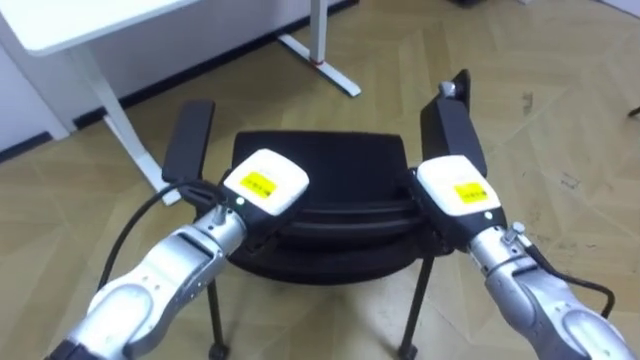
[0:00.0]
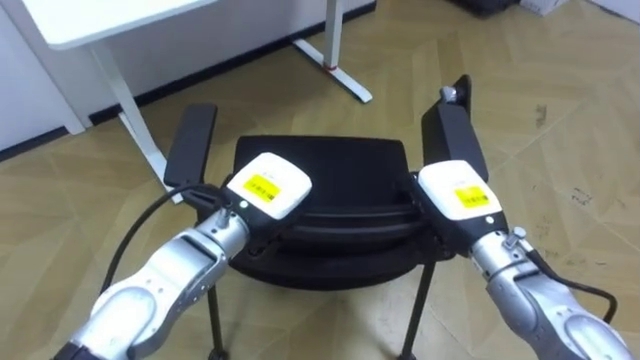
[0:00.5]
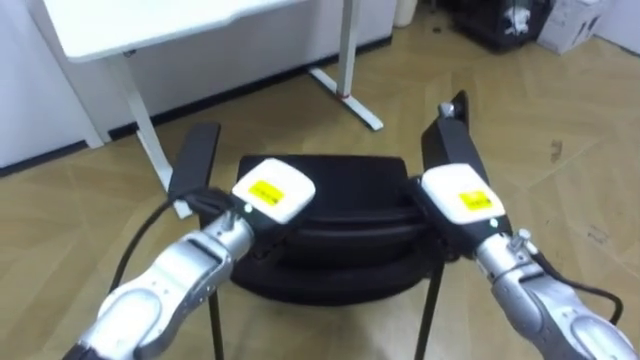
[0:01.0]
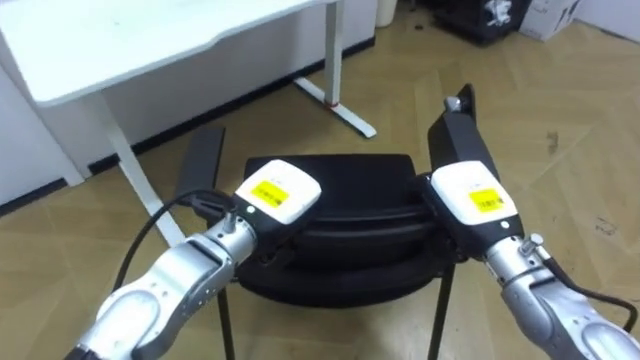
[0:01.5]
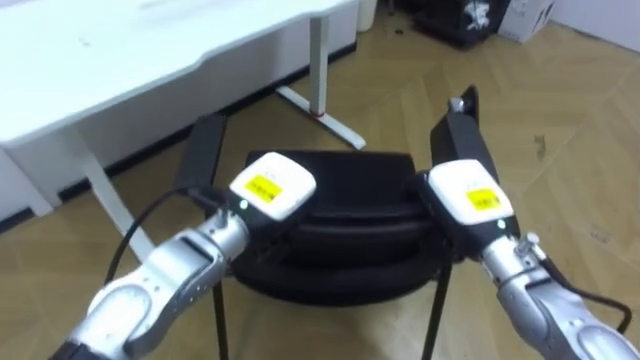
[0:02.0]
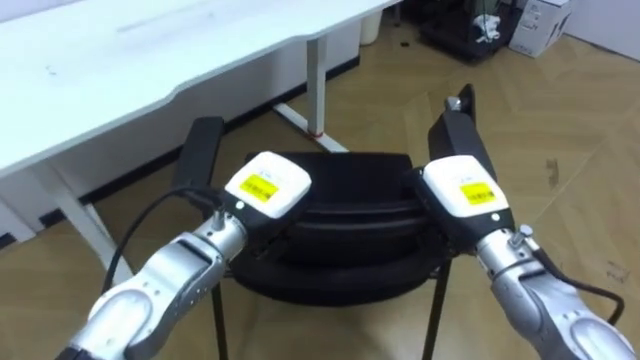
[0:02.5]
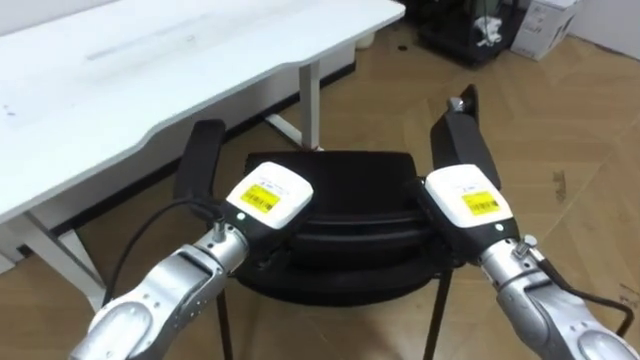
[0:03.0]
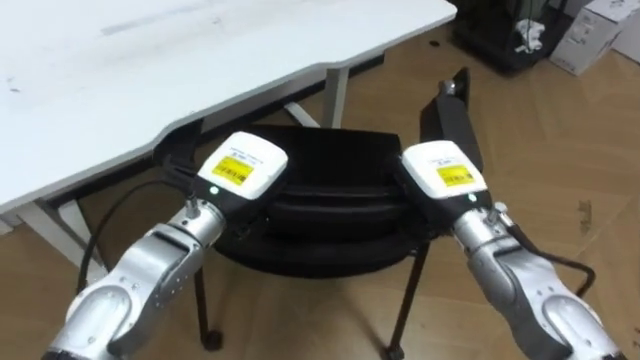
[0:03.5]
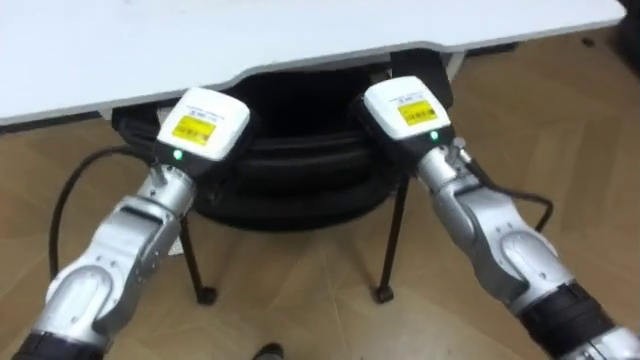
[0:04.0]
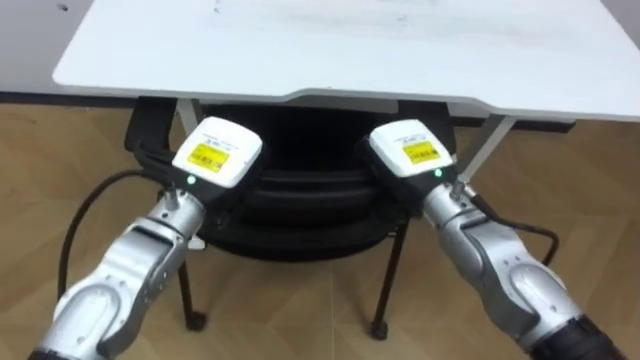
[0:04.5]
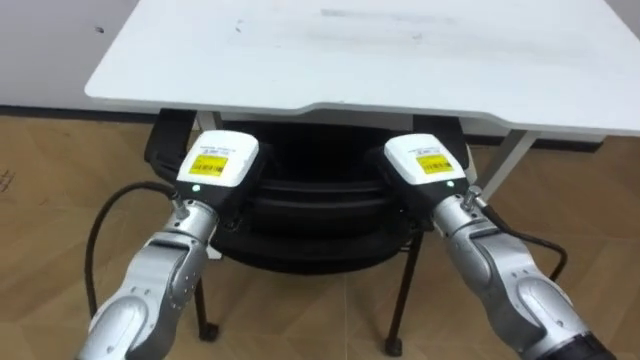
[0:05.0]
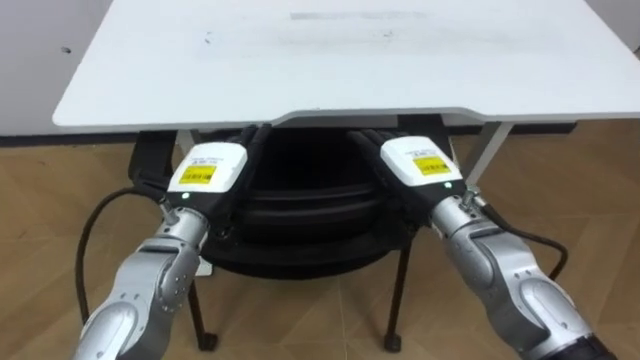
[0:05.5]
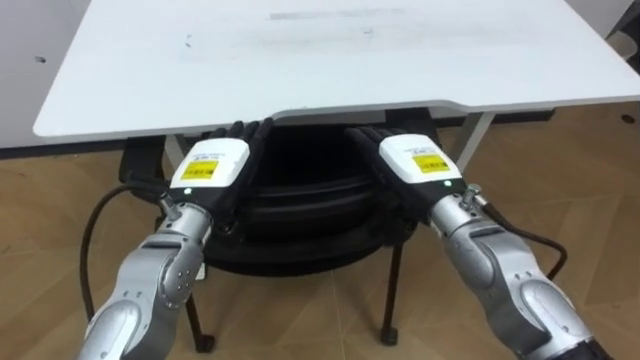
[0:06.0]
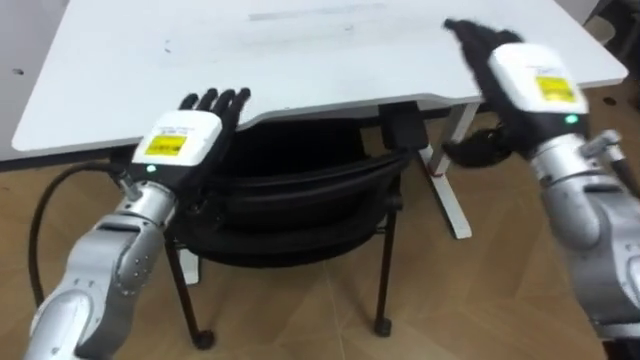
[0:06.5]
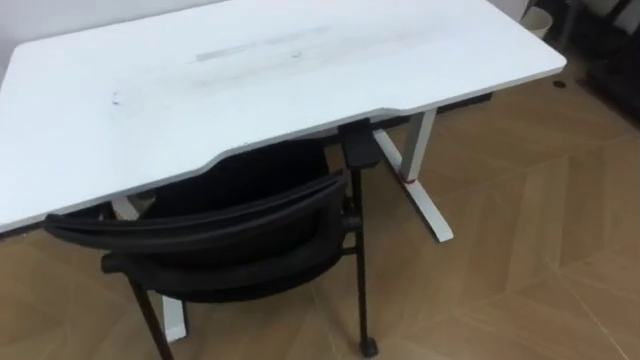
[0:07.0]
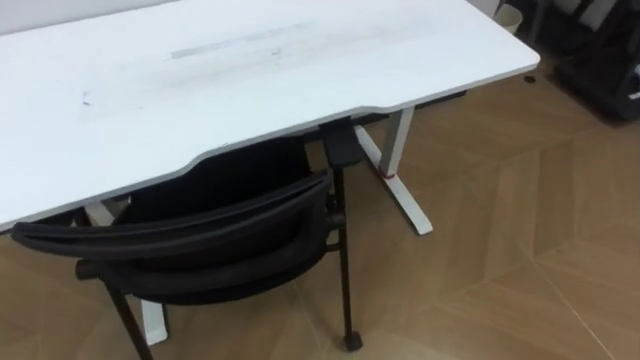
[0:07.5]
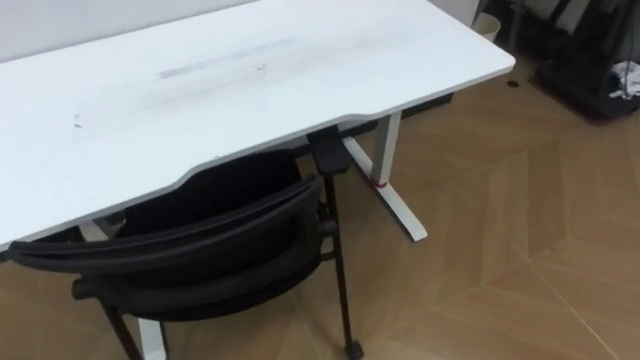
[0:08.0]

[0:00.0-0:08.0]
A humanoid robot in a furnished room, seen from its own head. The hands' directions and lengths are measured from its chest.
Task of the whole recording: Push the chair under the table.
0:02.0 to 0:04.0: The left hand heads to the left and upward, covering about 10 cm; the right hand travels to the left, upward and forward by some 15 cm.
0:04.0 to 0:06.0: The right hand changes place by some 5 cm, and opens; the left hand opens.

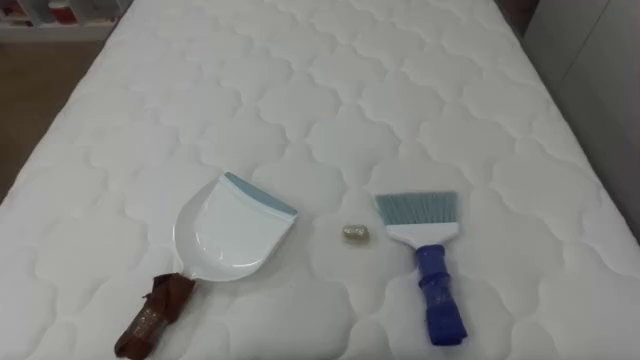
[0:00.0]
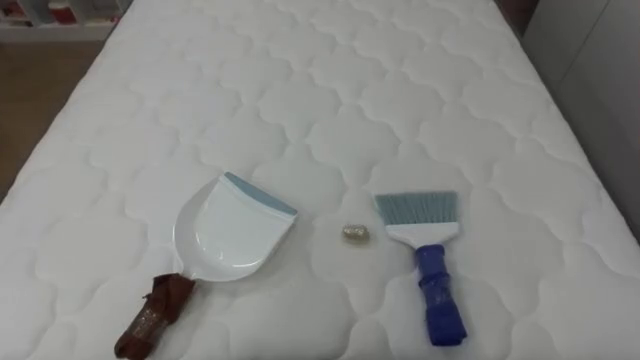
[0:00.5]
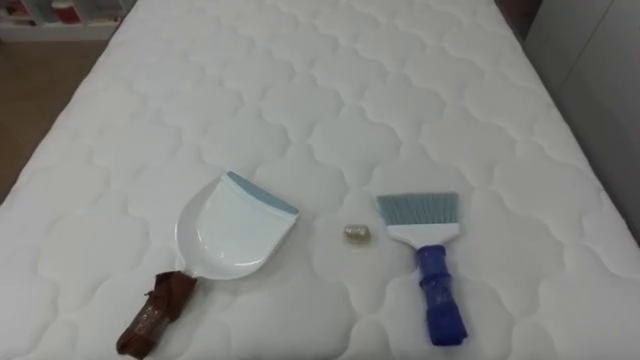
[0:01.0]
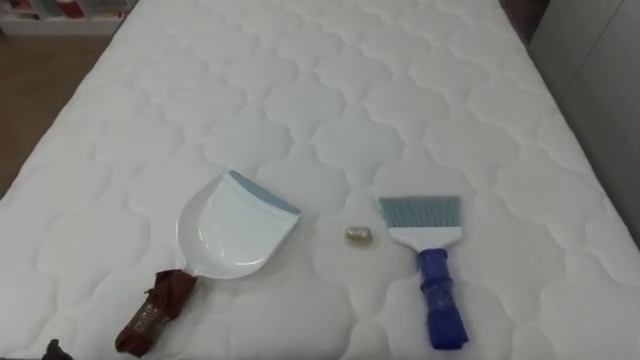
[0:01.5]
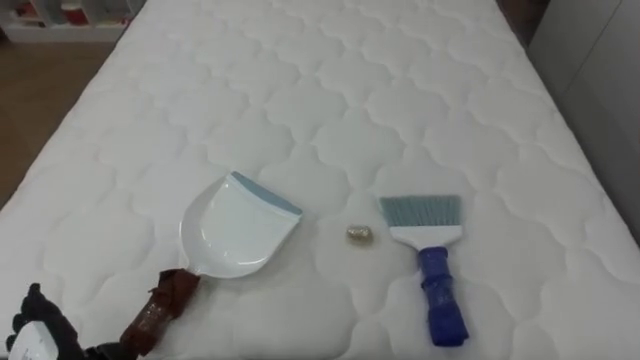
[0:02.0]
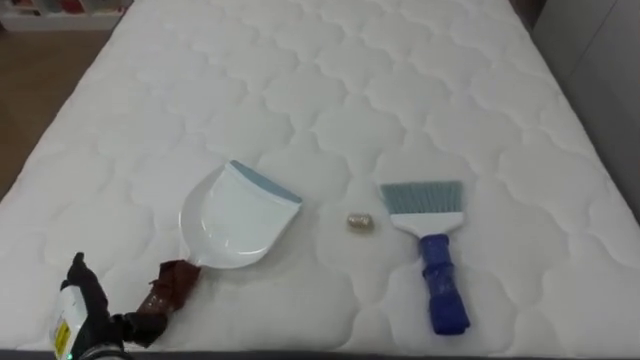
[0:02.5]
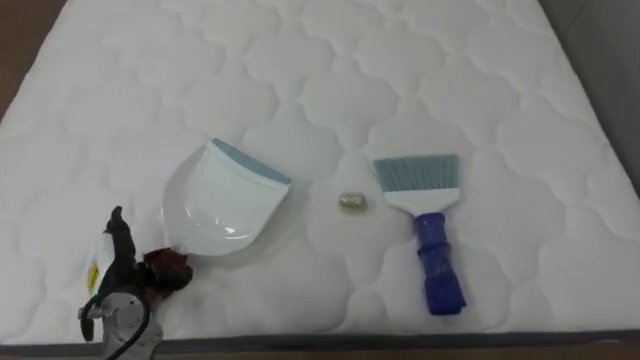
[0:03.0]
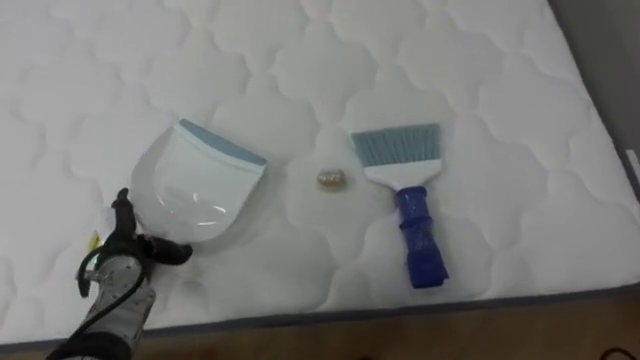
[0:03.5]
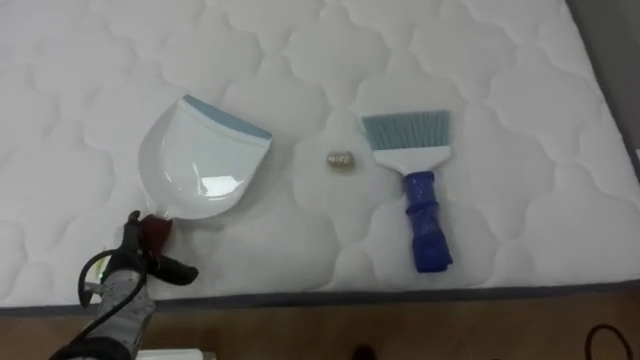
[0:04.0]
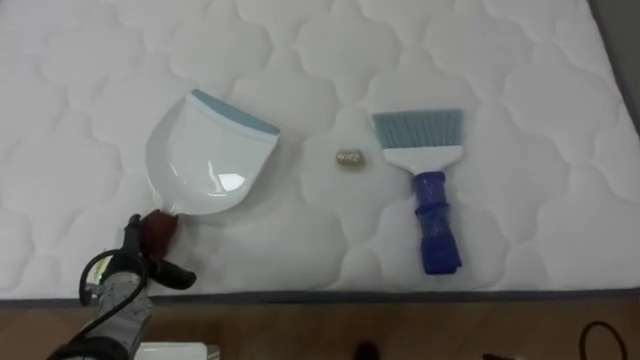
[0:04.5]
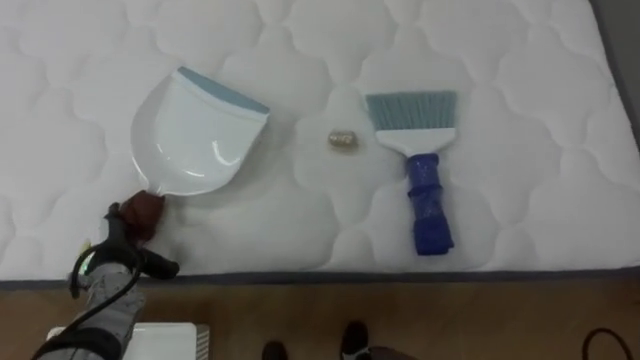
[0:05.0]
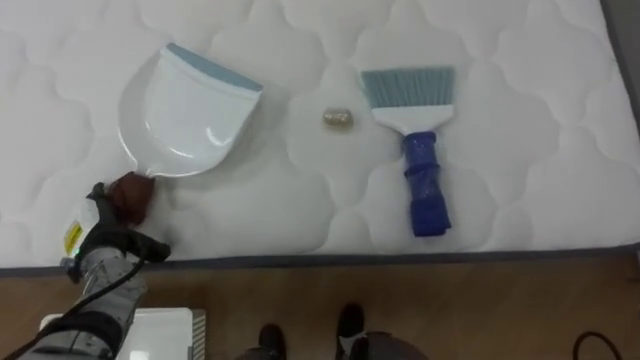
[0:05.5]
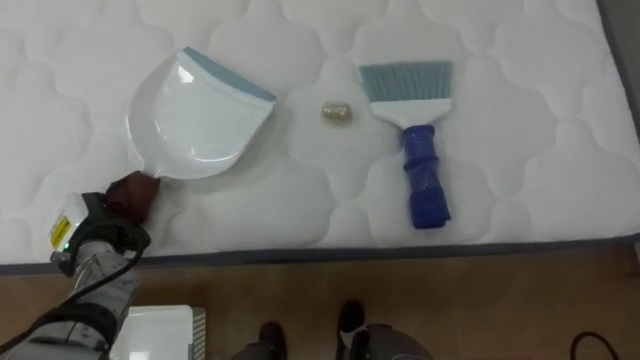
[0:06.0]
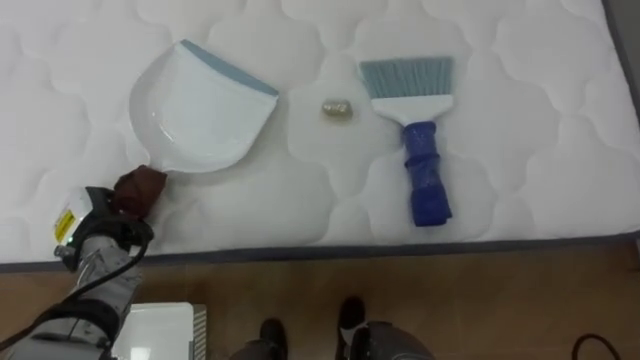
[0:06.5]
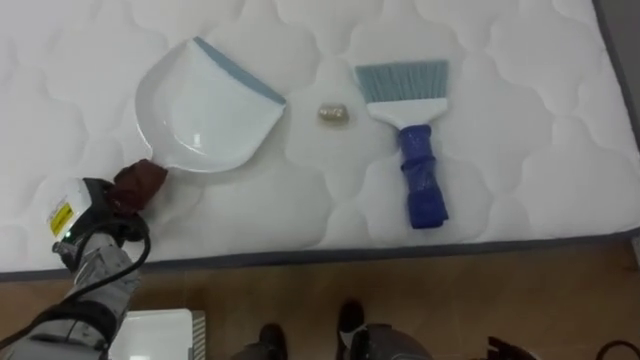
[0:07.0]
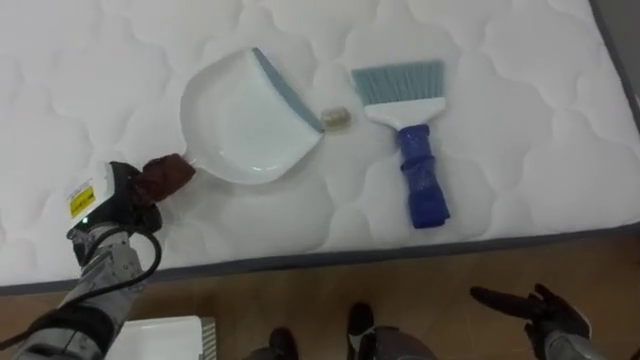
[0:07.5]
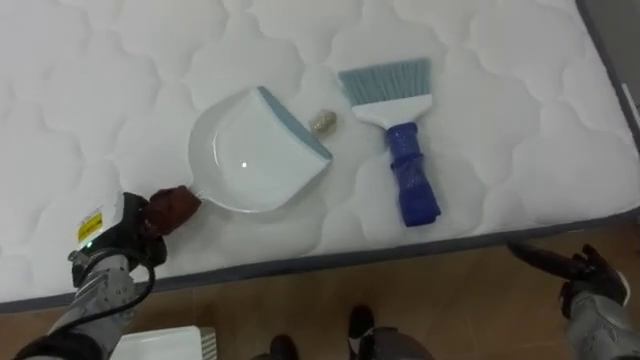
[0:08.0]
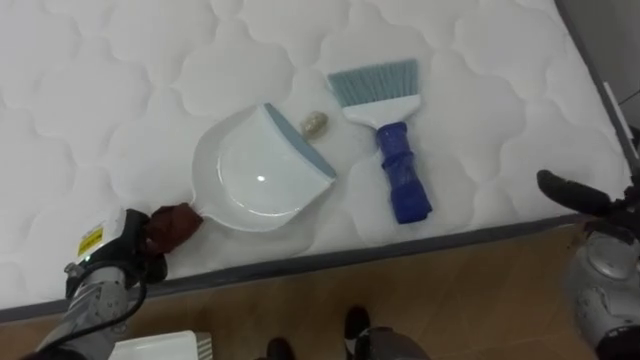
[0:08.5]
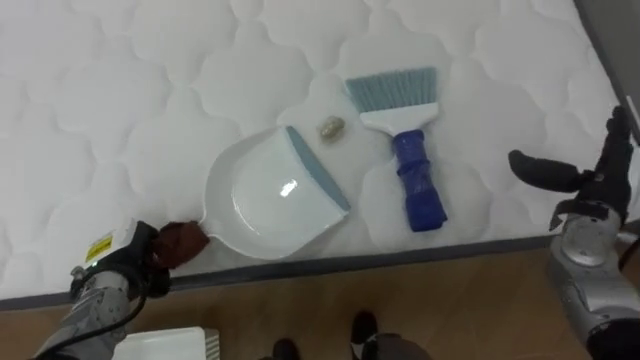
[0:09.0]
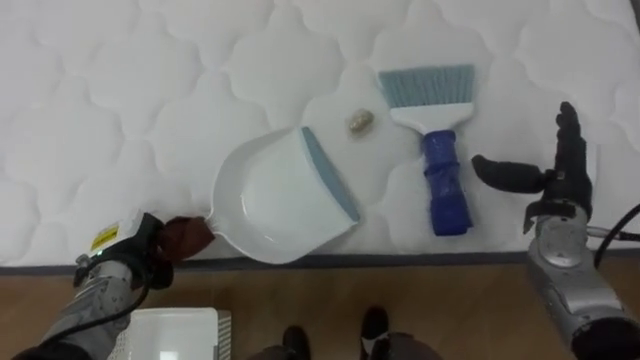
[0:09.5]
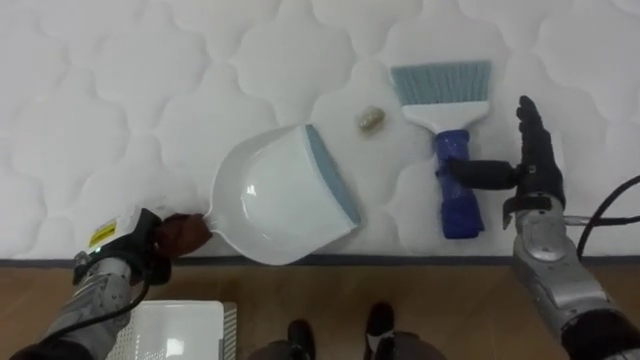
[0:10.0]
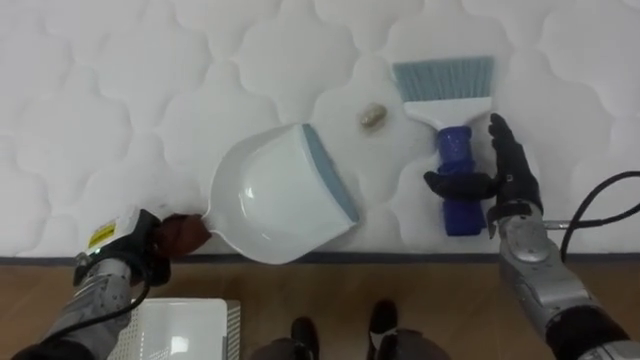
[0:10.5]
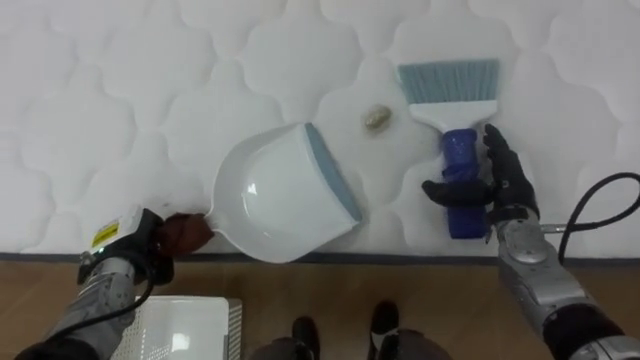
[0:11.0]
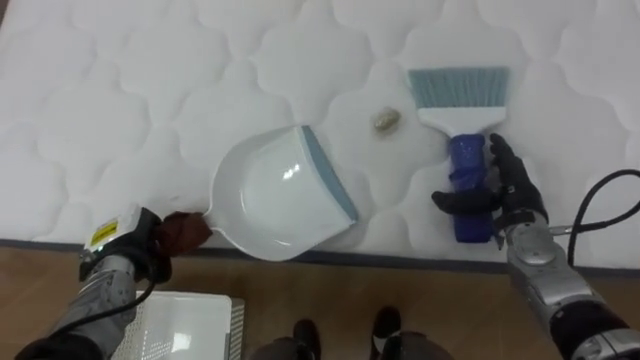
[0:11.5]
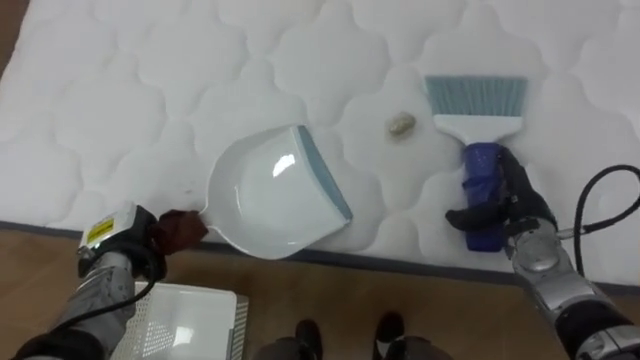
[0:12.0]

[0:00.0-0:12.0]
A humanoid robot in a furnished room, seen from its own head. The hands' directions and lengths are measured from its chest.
Task of the whole recording: Pick up the brush on your right and the dustpan on your left. Use the brush to sweep the crumpled paper on the bed into the dustpan, then turn left and empty it into the basket.
0:04.0 to 0:06.0: The left hand changes place by roughly 5 cm, and closes.
0:08.0 to 0:10.0: The right hand travels upward, forward and to the left by roughly 20 cm.
0:10.0 to 0:12.0: The right hand goes approximately 5 cm downward.
